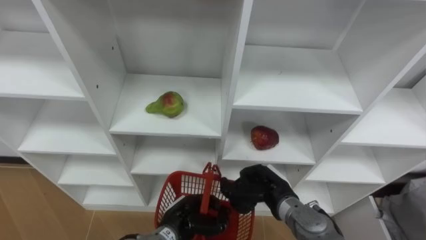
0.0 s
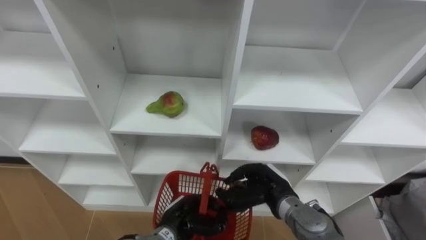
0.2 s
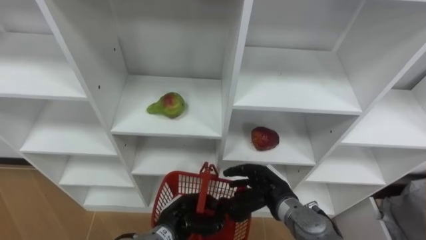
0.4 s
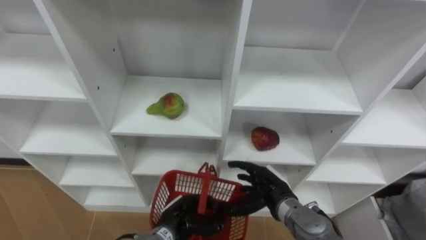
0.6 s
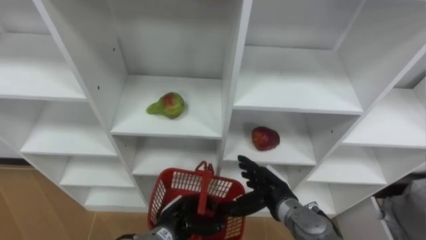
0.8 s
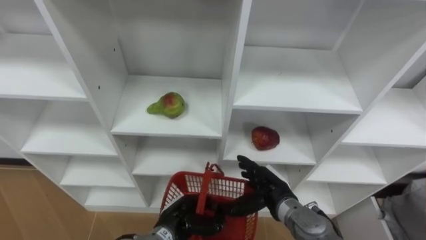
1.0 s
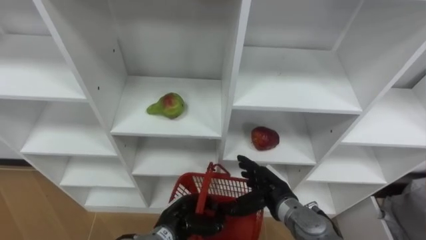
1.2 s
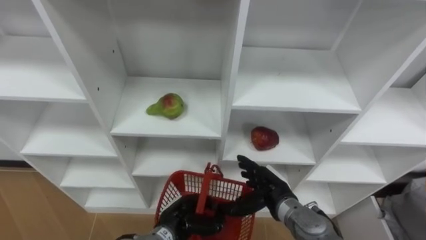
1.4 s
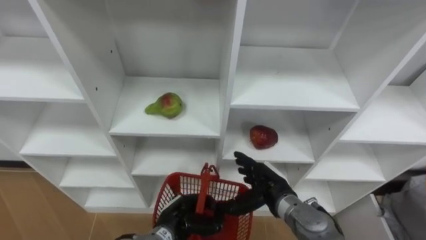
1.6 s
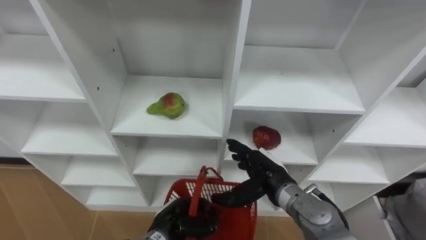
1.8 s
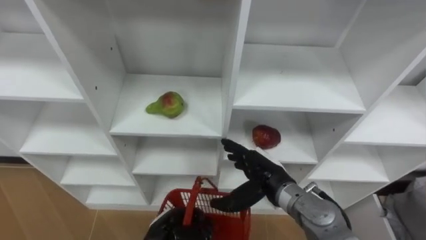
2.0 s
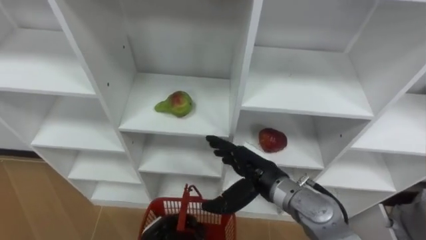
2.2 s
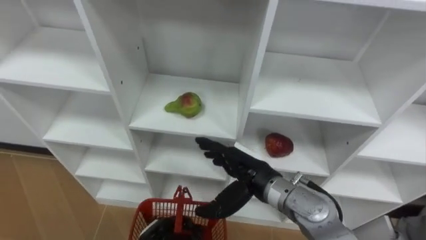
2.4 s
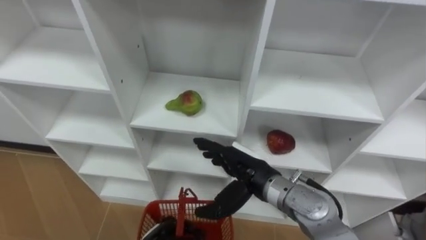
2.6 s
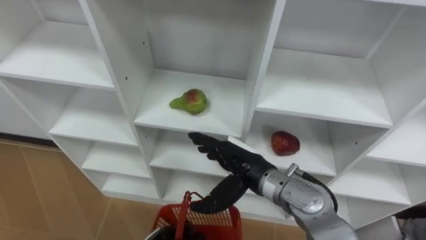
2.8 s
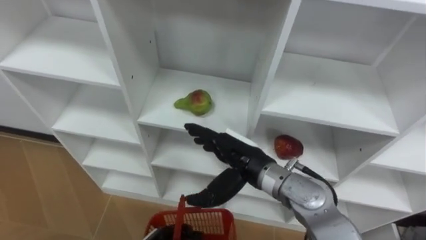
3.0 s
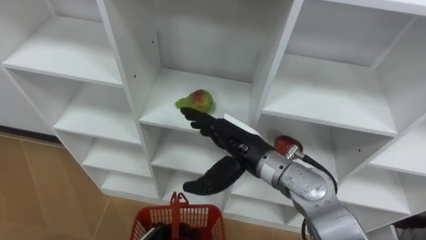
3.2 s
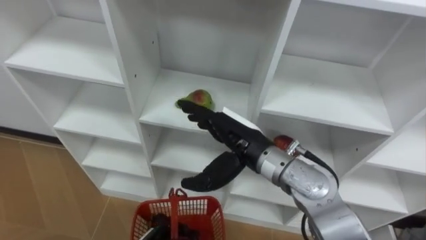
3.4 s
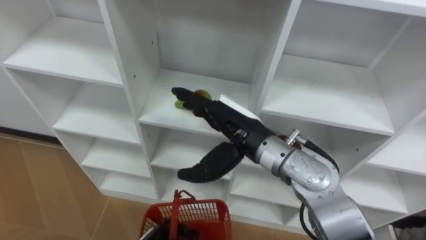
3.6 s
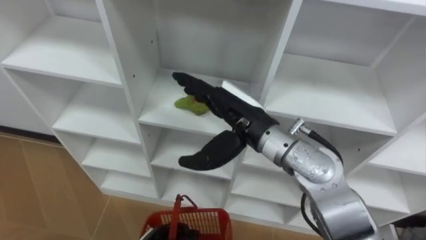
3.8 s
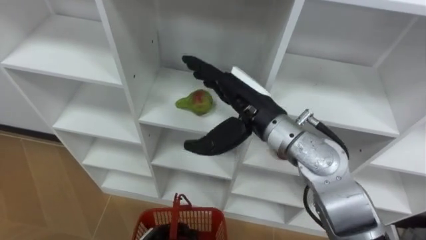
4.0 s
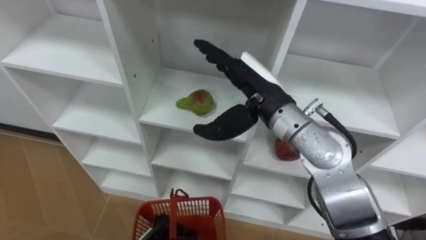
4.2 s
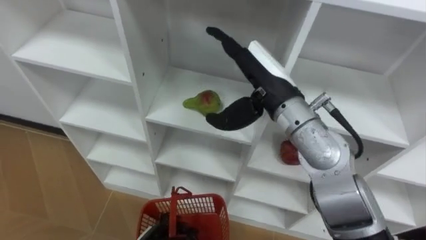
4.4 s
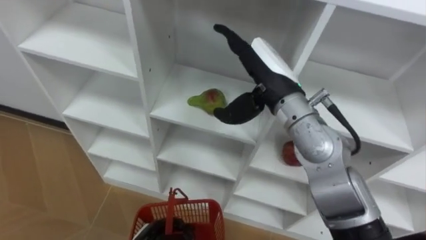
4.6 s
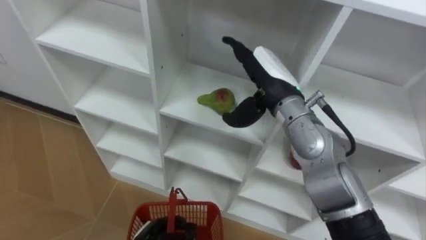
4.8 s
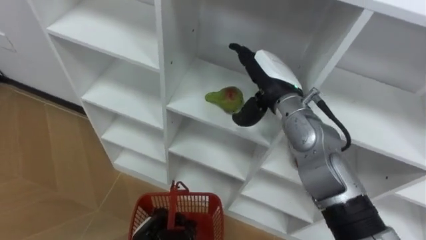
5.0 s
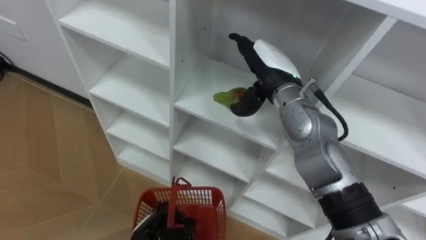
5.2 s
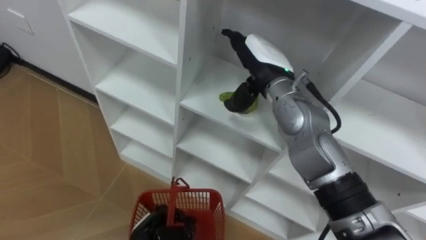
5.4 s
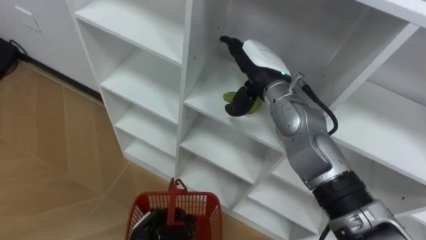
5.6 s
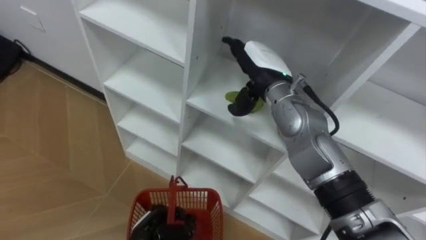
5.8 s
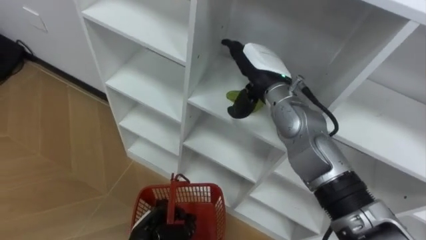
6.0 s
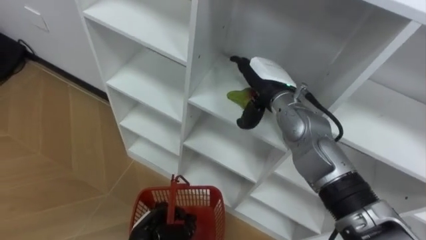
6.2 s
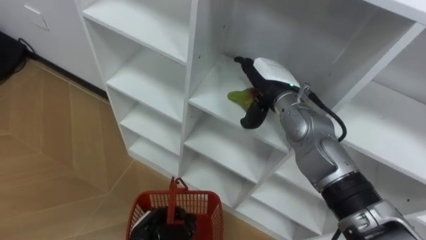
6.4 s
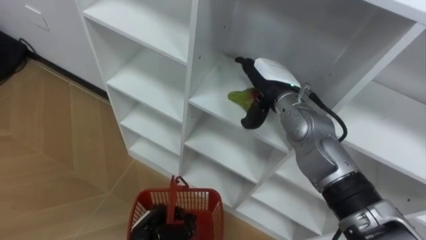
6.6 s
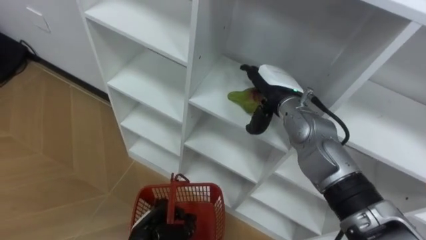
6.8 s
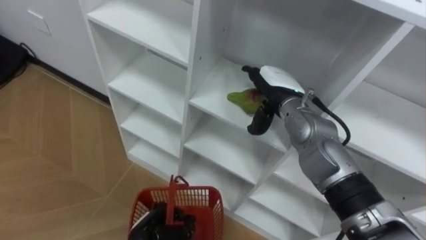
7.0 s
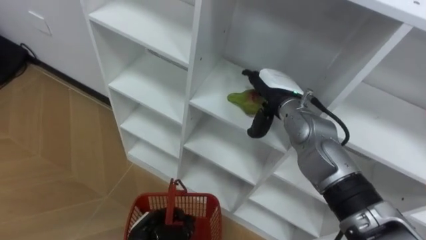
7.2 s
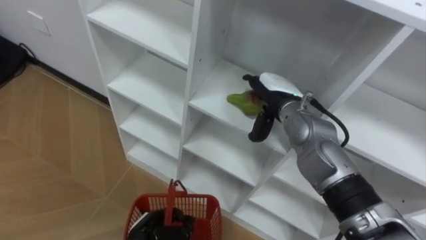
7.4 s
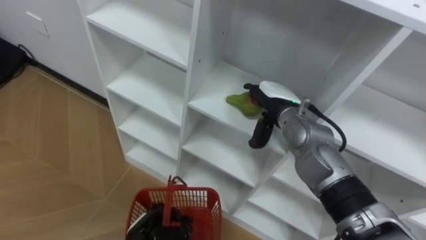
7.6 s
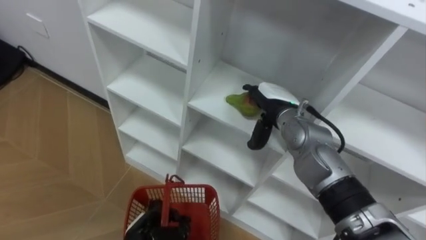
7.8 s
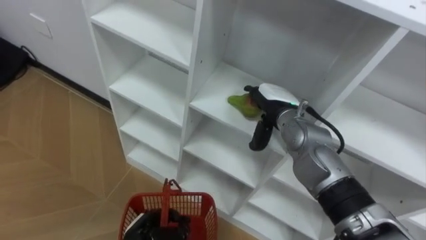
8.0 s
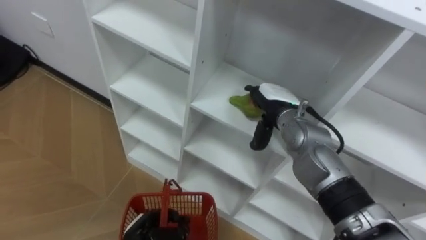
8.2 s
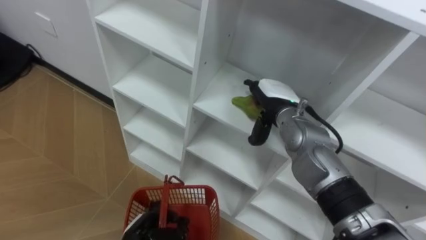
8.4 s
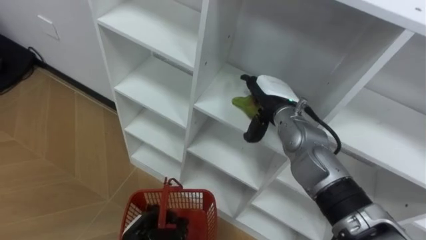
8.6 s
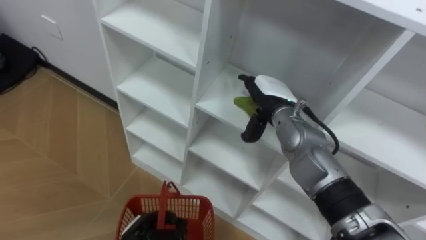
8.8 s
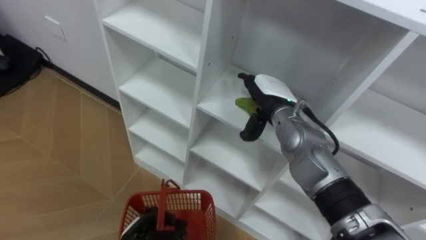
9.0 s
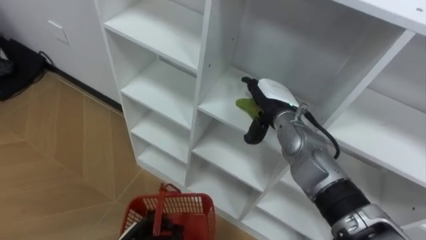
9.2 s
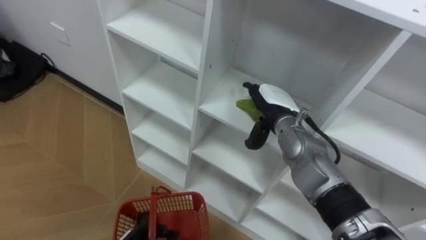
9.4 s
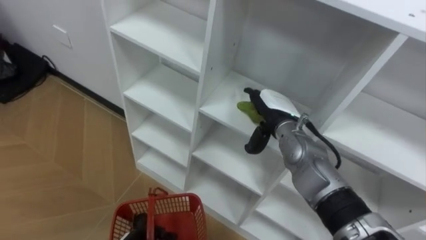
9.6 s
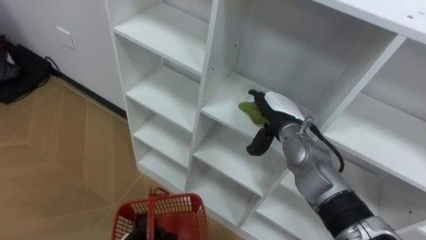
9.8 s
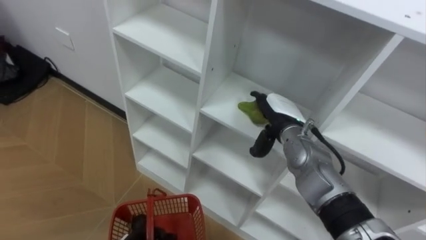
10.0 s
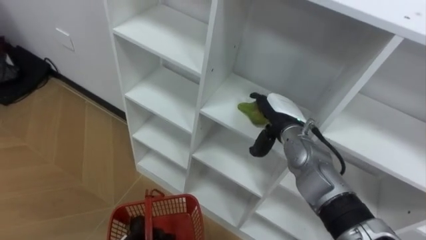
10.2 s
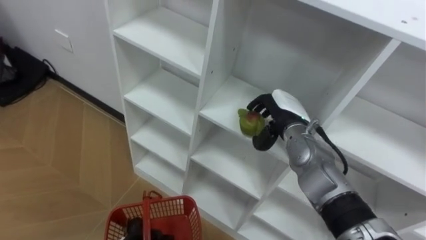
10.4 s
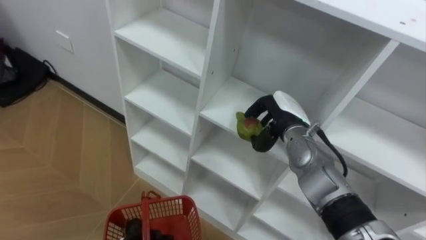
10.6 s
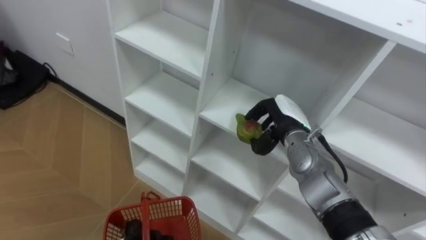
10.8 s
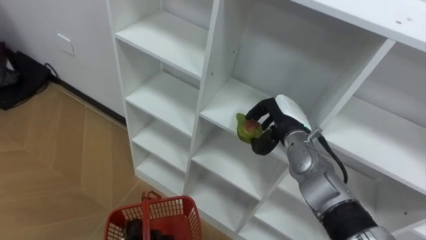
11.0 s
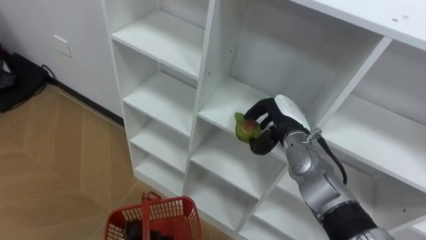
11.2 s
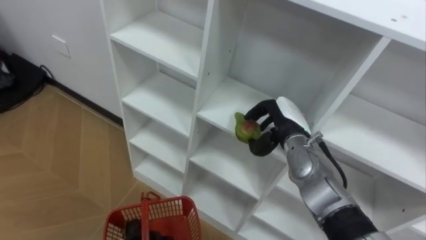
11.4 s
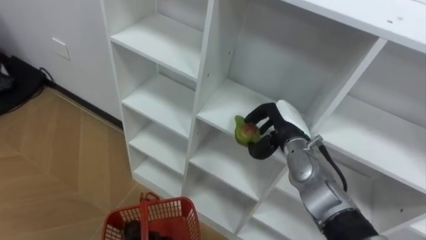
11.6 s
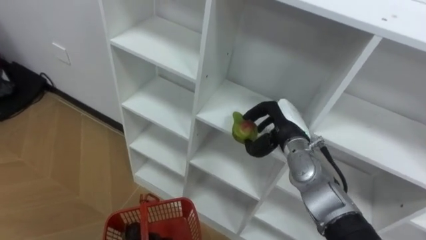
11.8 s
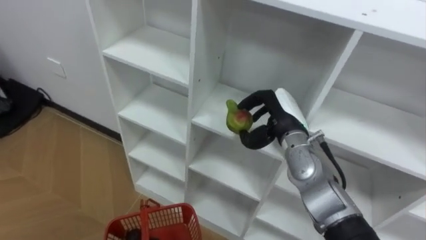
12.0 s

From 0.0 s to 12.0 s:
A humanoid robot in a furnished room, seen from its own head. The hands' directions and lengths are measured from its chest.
Task of the whole recording: Hold the basket and collect the fruits from 3 different cells of the closet into it.
From 0.0 s to 1.6 s: The right hand opens up.
From 1.6 s to 3.0 s: The right hand moves upward and to the left, about 15 cm.
From 3.0 s to 4.4 s: The right hand is displaced upward and forward by some 15 cm.
From 4.4 s to 6.0 s: The right hand travels forward by approximately 5 cm.
From 6.0 s to 7.6 s: The right hand goes about 5 cm downward.
From 7.6 s to 9.0 s: There are only small adjustments of the hands.
From 10.4 s to 12.0 s: The right hand closes up.

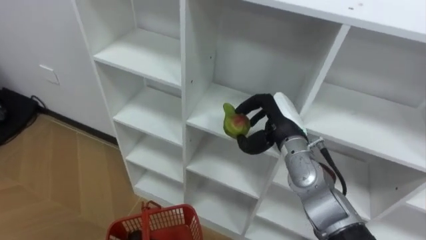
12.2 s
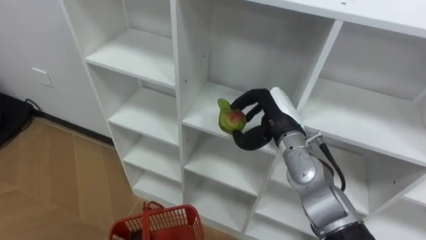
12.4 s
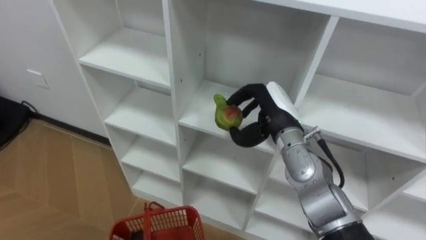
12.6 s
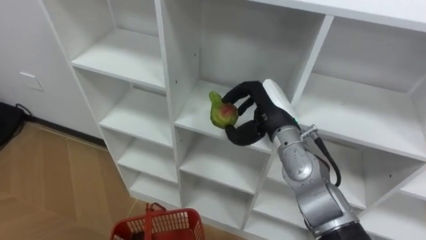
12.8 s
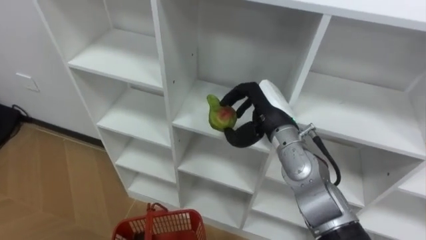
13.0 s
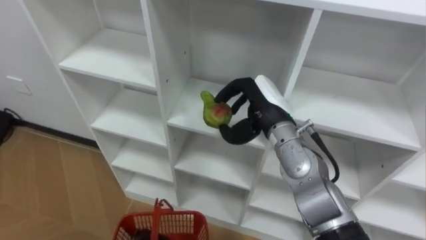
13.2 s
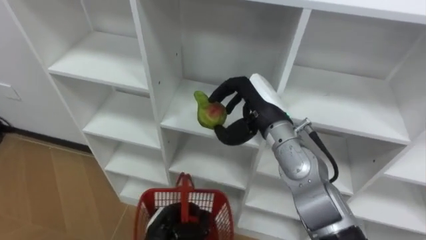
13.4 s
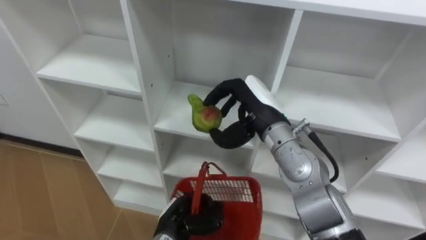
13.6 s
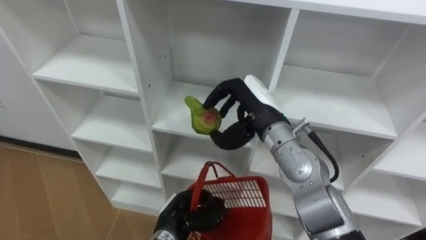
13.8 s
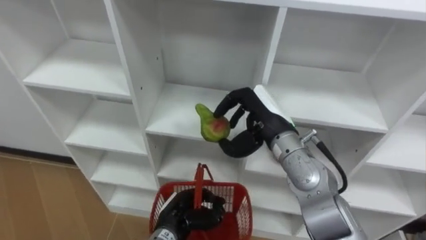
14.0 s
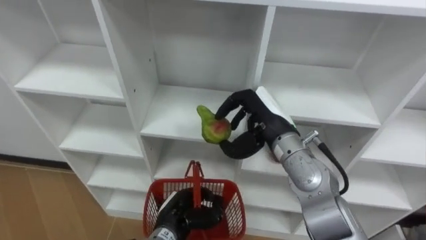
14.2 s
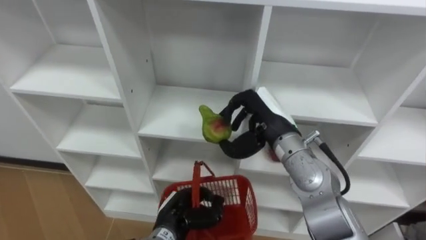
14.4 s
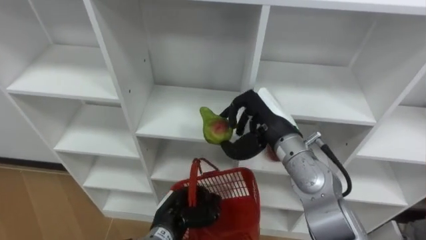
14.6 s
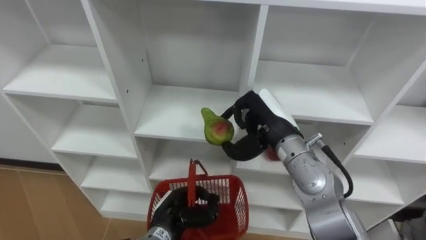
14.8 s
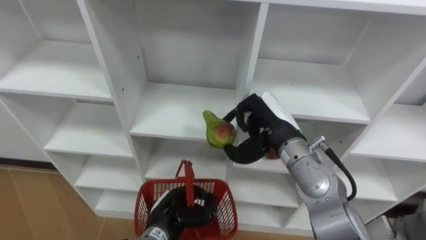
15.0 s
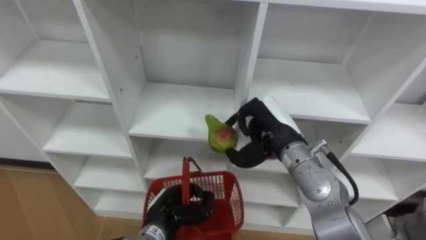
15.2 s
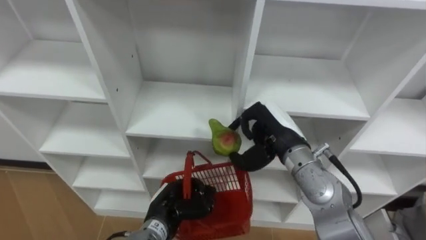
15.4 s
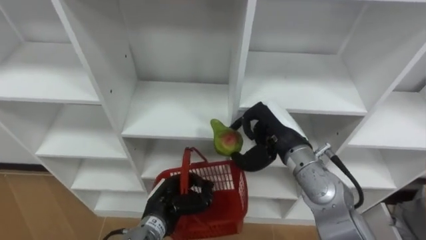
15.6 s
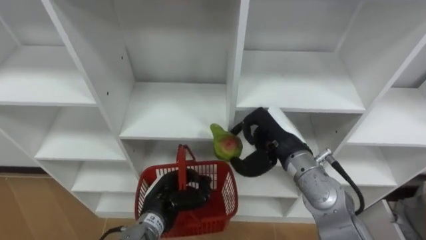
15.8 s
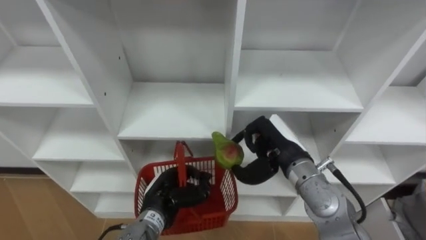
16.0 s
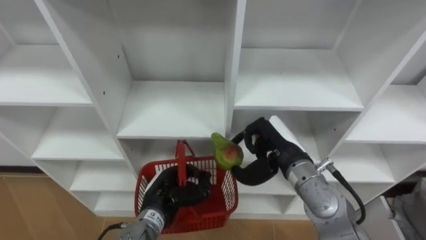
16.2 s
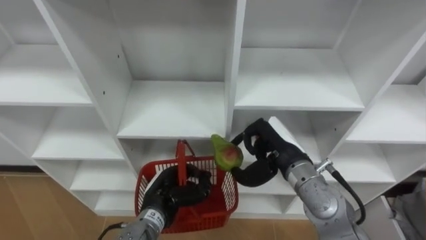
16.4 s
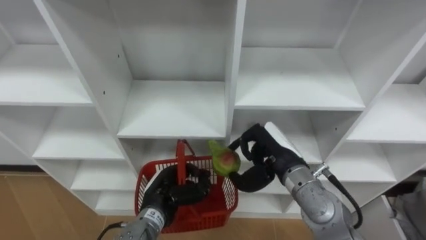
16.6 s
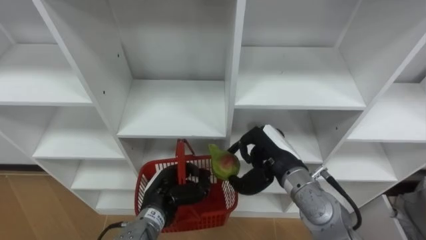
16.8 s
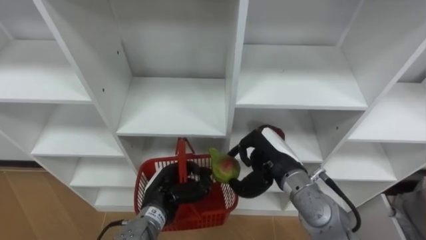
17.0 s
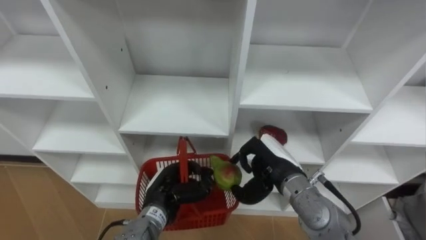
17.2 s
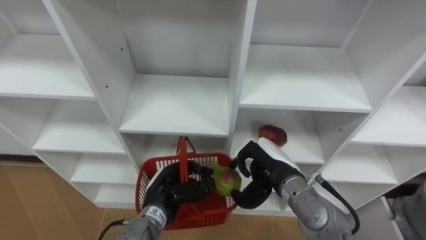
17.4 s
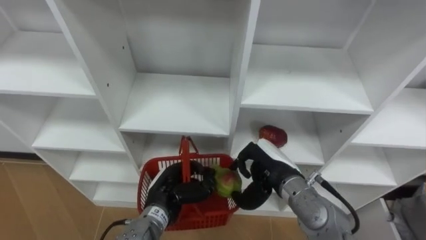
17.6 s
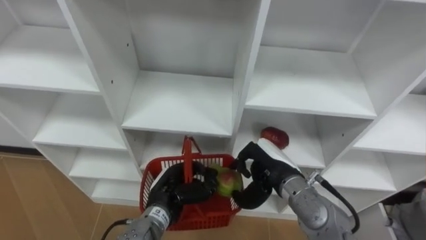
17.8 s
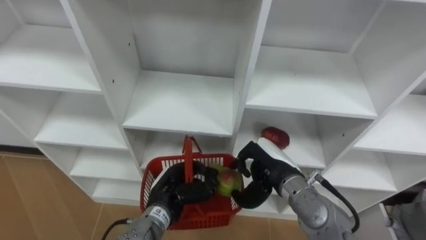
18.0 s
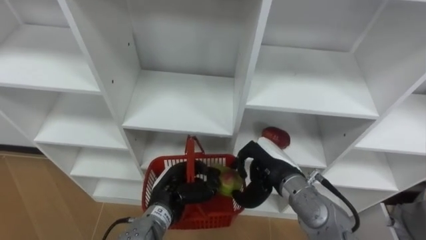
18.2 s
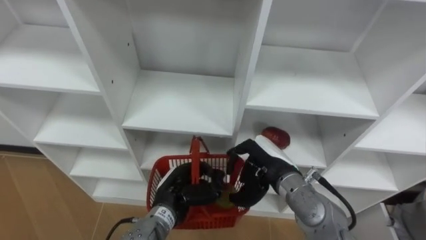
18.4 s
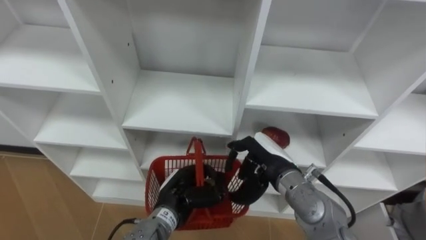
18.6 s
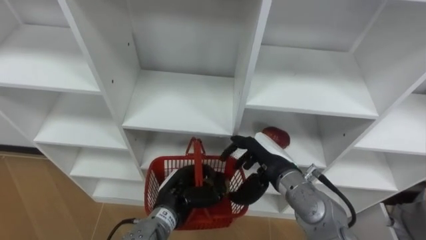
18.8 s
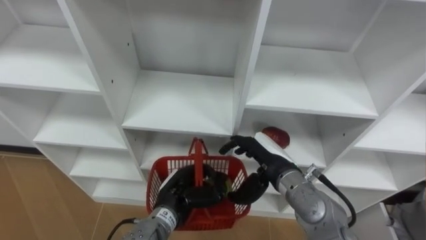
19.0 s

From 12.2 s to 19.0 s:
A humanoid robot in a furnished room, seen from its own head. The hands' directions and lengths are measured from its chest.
Task of the whole recording: Hold the basket and collect the fruits from 3 different cells of the closet into it.
From 12.2 s to 13.6 s: The right hand travels upward by approximately 5 cm.
From 17.6 s to 19.0 s: The right hand opens.
